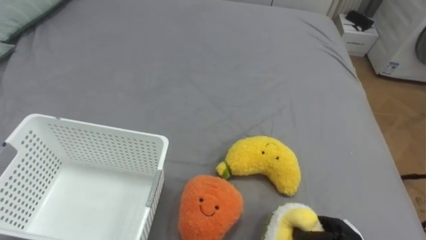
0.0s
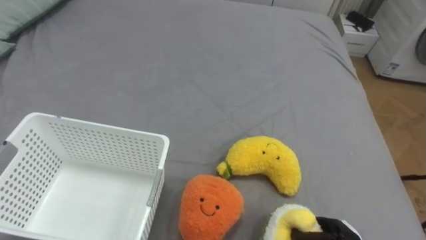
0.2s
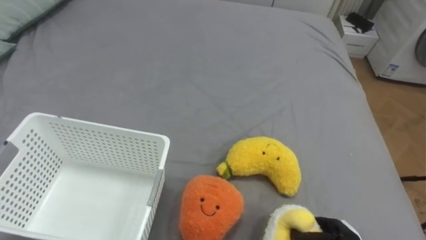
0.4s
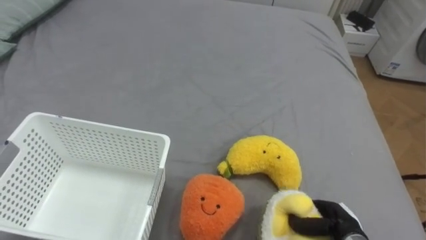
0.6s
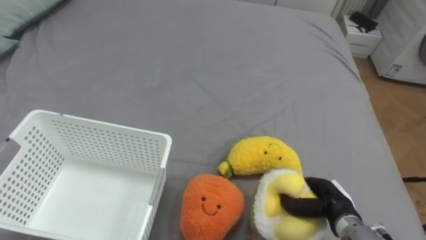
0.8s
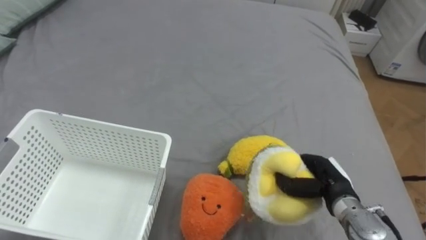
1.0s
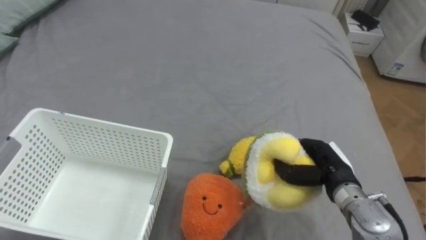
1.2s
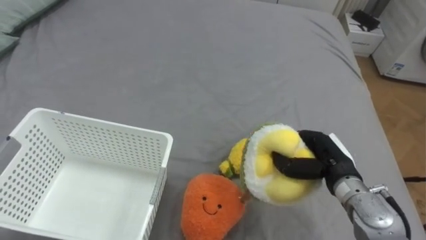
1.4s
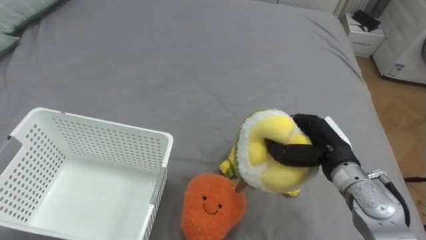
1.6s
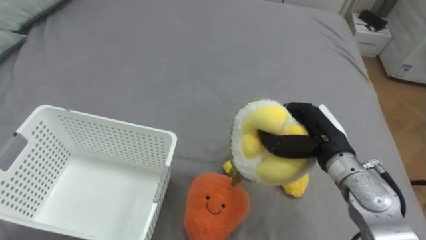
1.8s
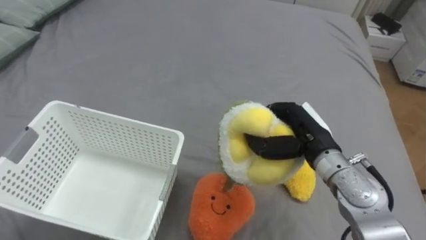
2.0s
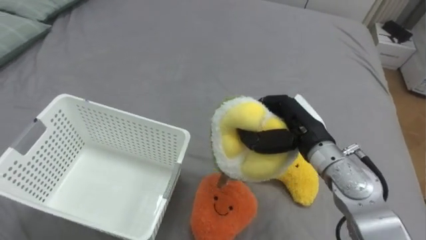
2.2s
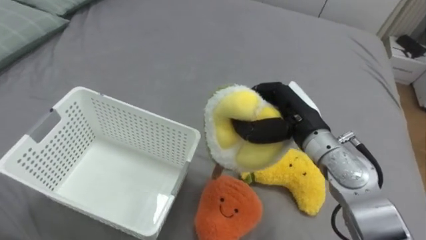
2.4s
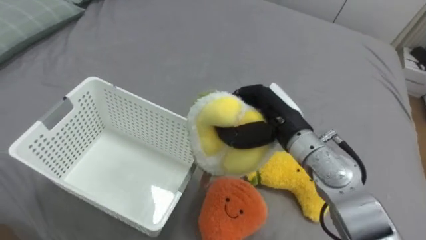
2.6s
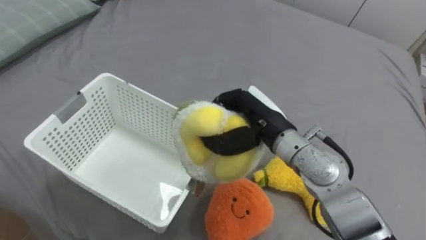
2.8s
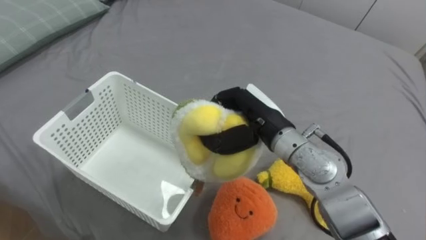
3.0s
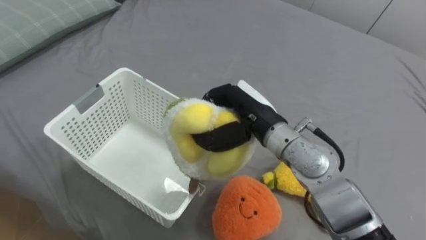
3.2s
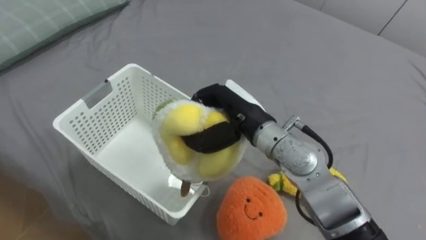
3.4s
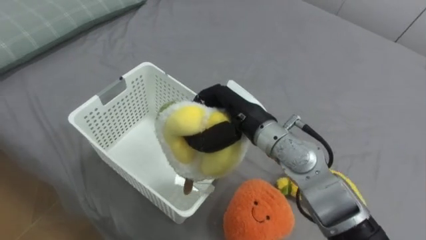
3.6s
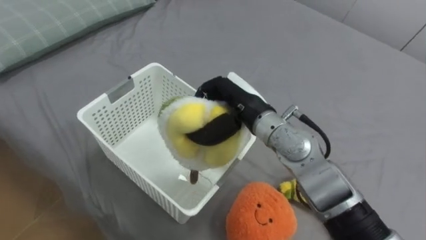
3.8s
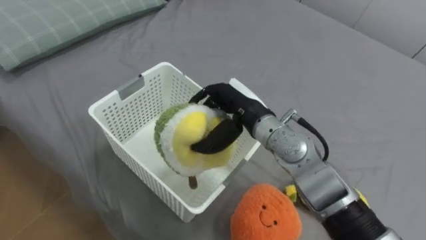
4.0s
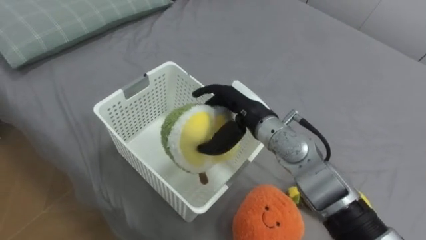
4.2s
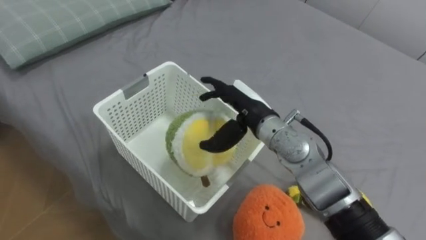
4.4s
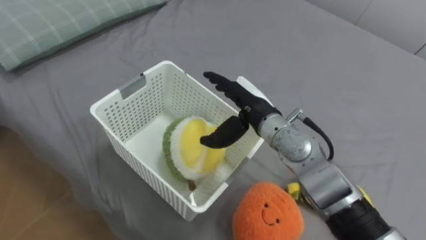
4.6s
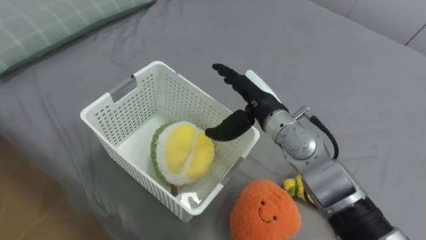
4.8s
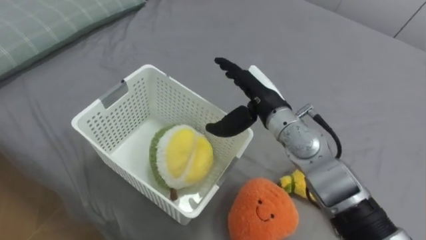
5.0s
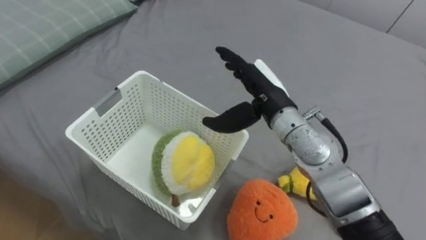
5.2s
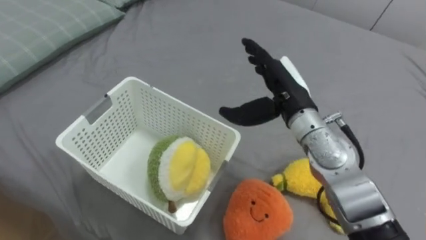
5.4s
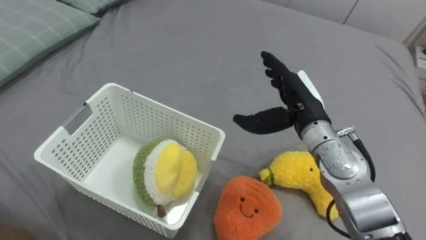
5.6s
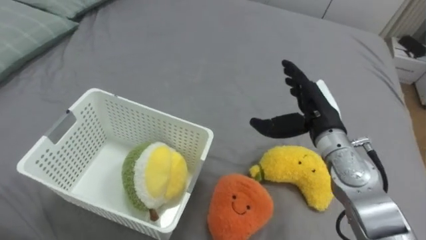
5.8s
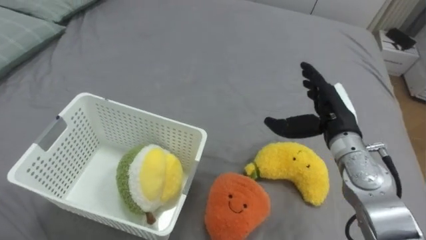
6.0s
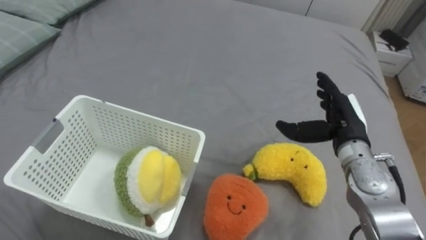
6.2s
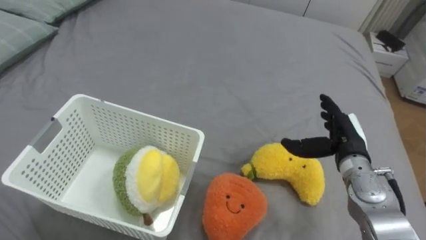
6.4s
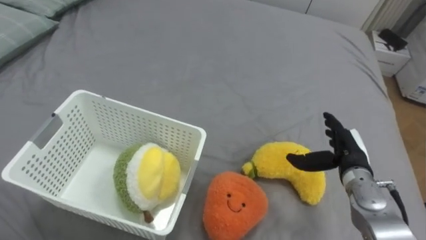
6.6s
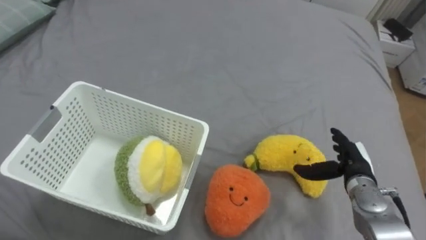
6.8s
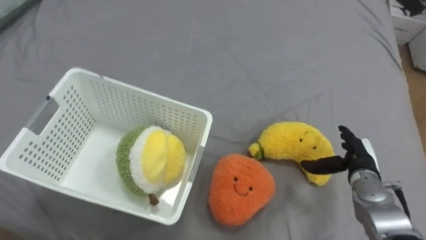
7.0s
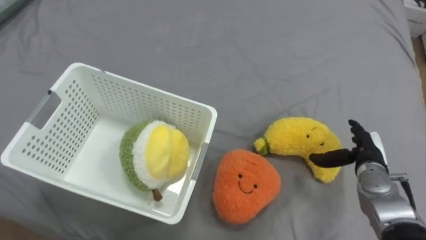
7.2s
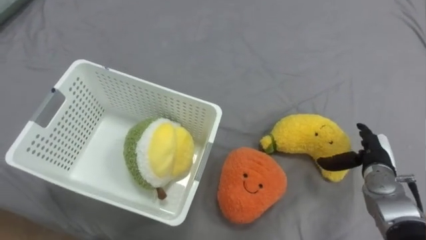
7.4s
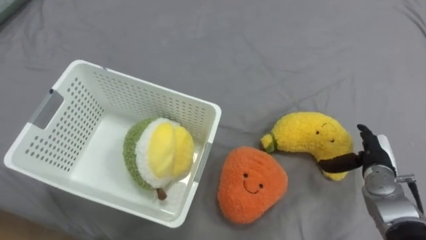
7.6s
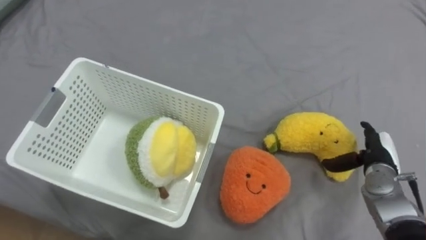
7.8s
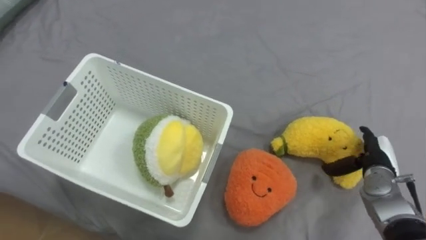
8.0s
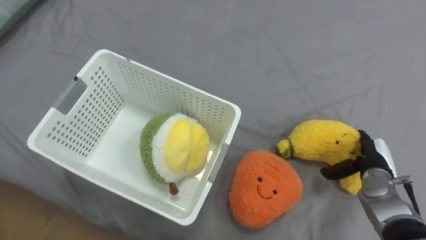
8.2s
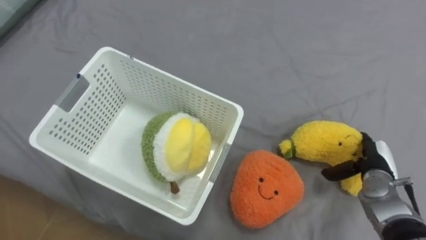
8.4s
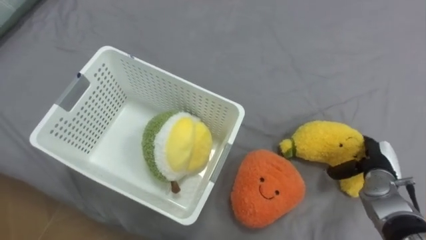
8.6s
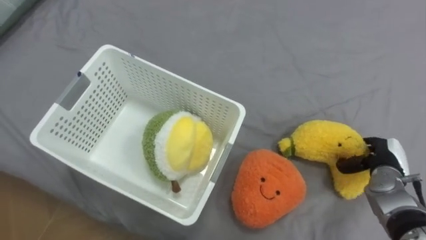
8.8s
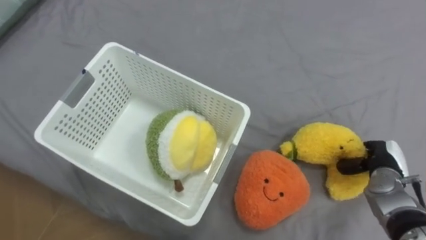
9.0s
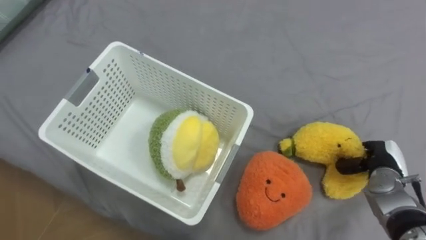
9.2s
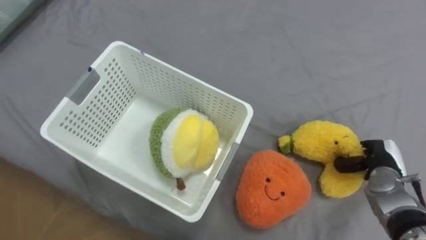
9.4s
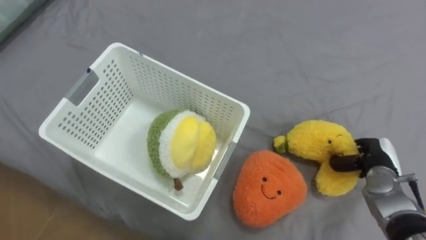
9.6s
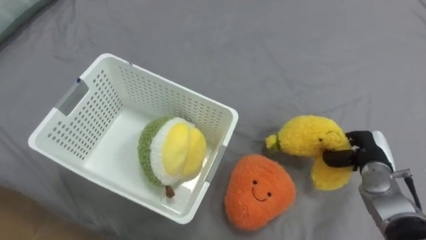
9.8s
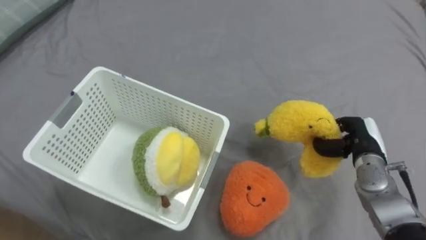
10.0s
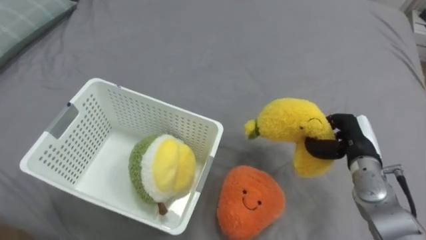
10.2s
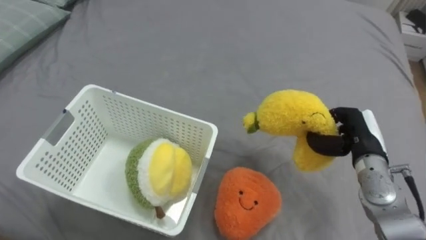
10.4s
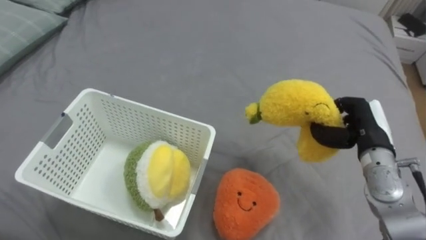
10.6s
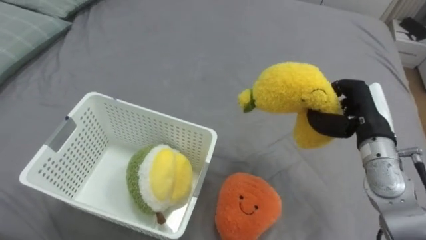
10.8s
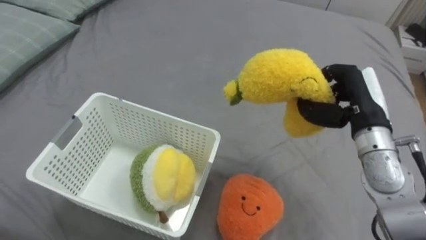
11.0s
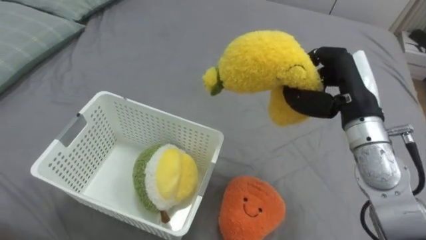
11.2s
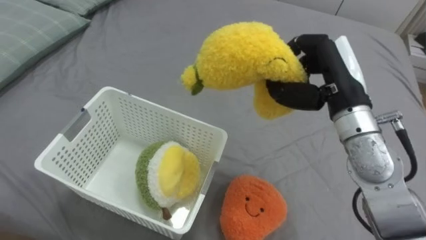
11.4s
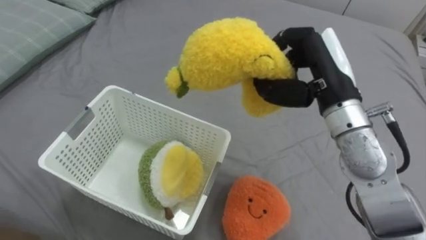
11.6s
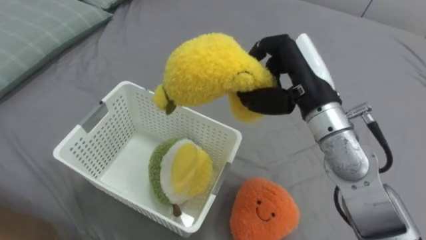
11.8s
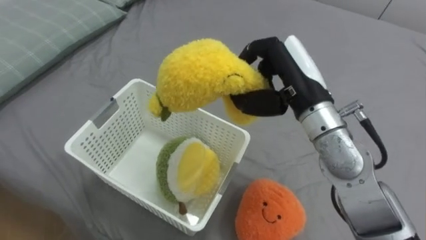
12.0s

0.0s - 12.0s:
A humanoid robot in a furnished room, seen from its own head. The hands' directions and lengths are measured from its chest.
Task of the whole recording: Put the toys on the bed into the basket on the left.
1.6s - 3.0s: The right hand moves to the left and upward, roughly 15 cm.
3.0s - 4.4s: The right hand opens its fingers.
4.4s - 6.0s: The right hand heads to the right, covering about 15 cm.
6.0s - 7.6s: The right hand heads downward and to the right, covering about 15 cm.
7.6s - 9.0s: The right hand closes.
9.0s - 10.4s: The right hand heads upward and to the left, covering some 10 cm.
10.4s - 12.0s: The right hand goes some 20 cm to the left and upward.

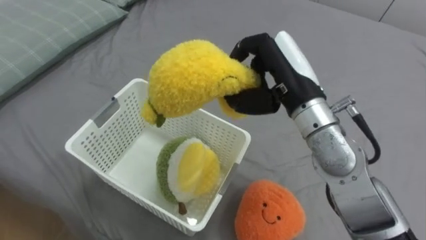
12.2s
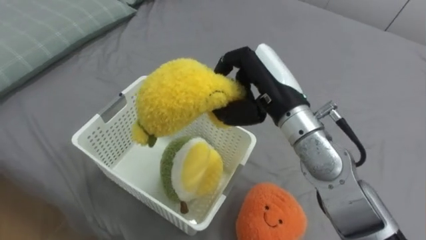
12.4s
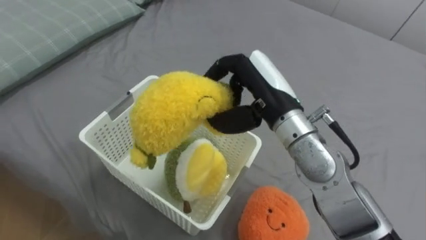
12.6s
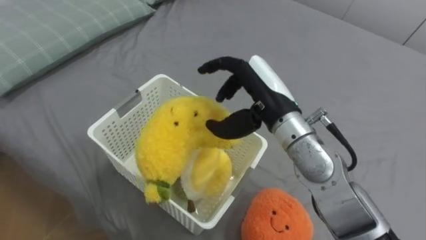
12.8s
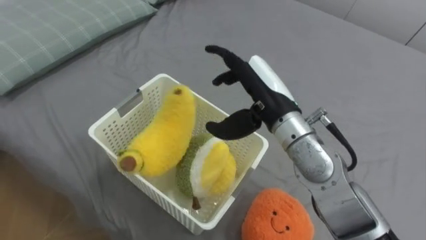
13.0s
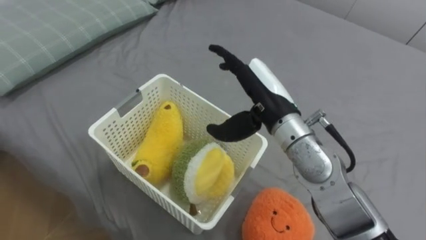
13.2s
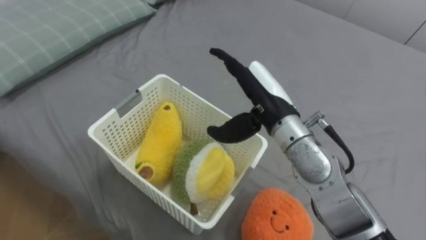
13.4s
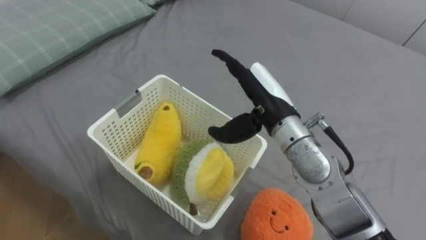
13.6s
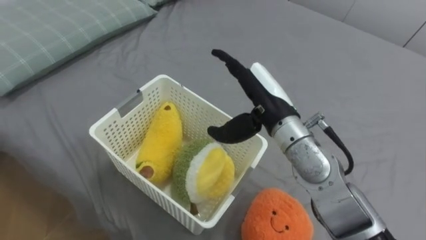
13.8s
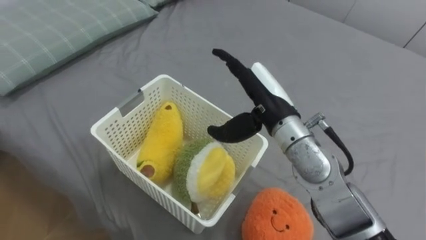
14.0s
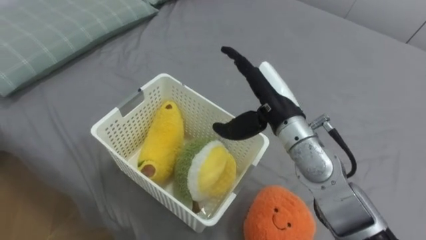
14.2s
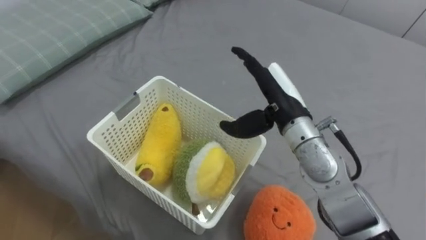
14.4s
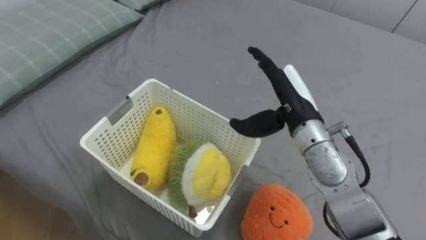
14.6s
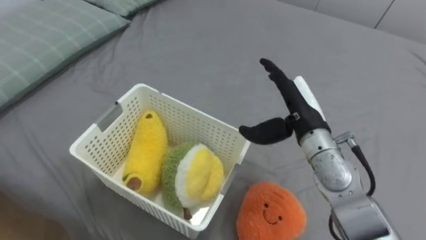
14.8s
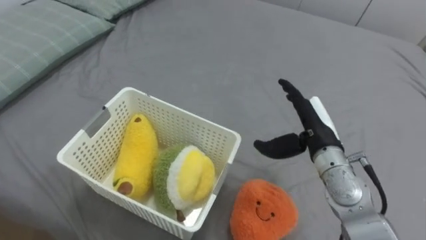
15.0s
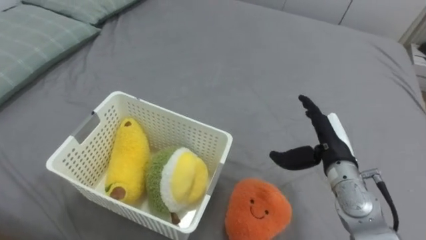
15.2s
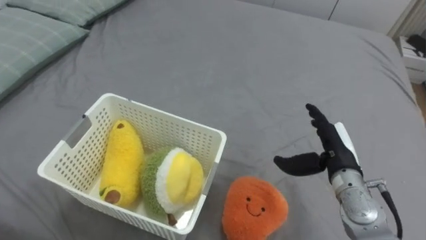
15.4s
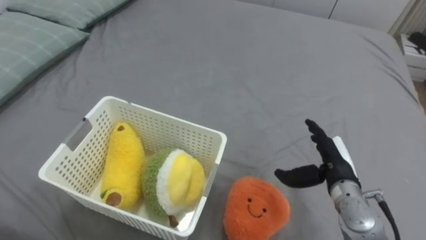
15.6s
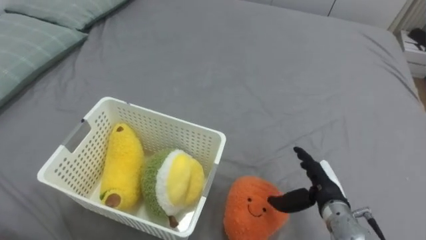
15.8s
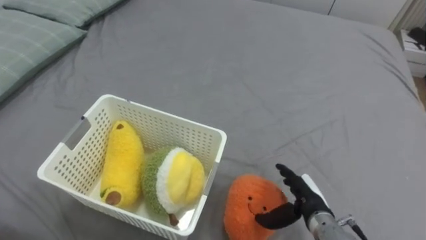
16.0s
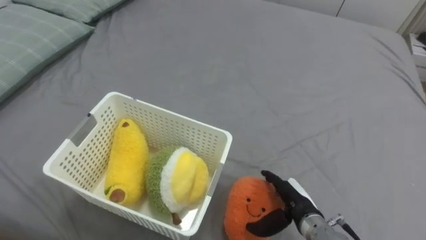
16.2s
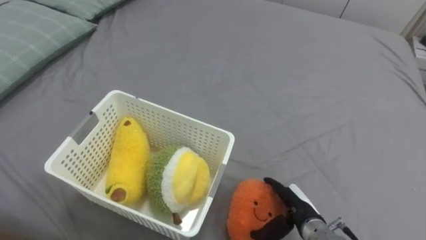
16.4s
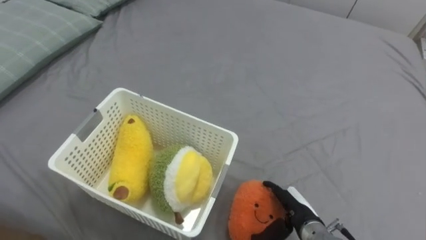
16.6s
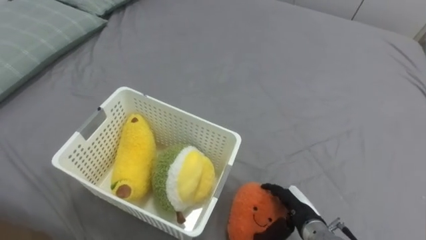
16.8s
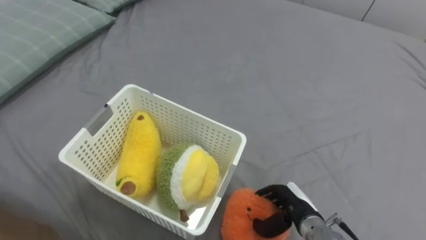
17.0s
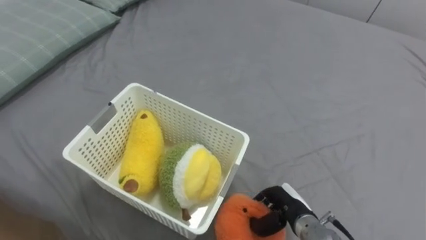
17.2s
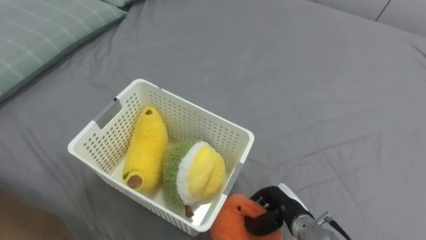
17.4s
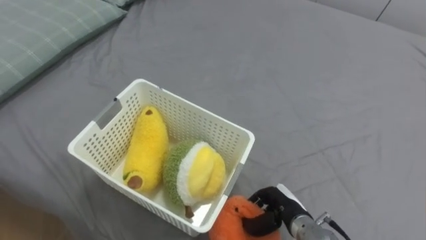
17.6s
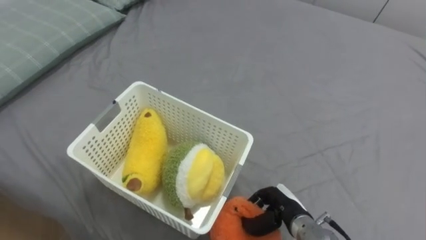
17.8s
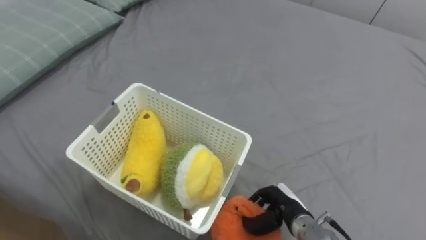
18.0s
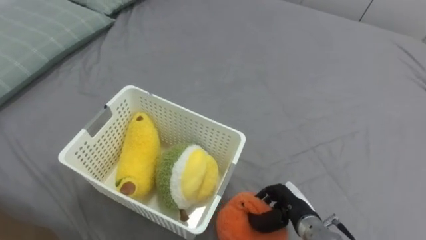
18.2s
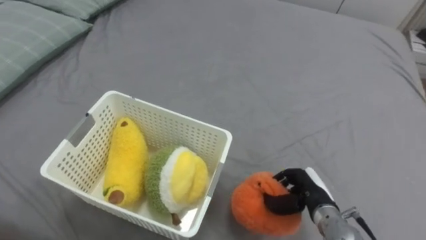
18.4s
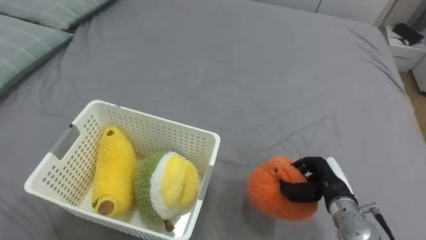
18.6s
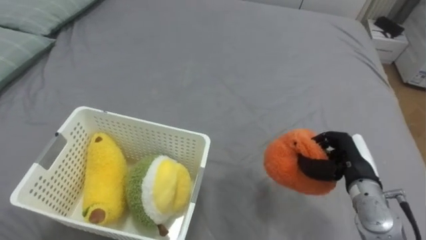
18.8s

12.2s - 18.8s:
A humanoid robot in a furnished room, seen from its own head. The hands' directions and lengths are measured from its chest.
Task of the whole recording: Put the toys on the bed into the basket on the left.
12.2s - 13.8s: The right hand shifts approximately 5 cm downward, and opens its fingers.
13.8s - 15.4s: The right hand is displaced to the right and downward by some 20 cm.
15.4s - 17.2s: The right hand heads downward, to the left and backward, covering approximately 15 cm, and closes its fingers.
17.2s - 18.8s: The right hand moves to the right and upward, approximately 15 cm.
